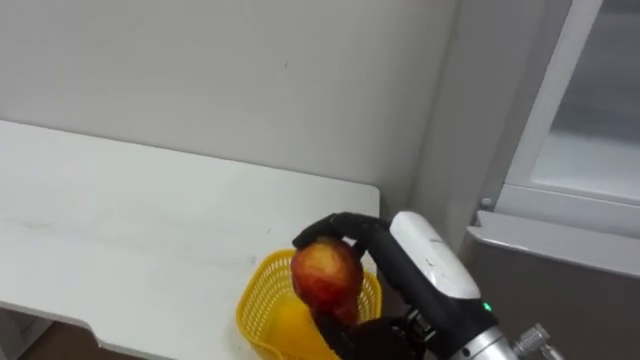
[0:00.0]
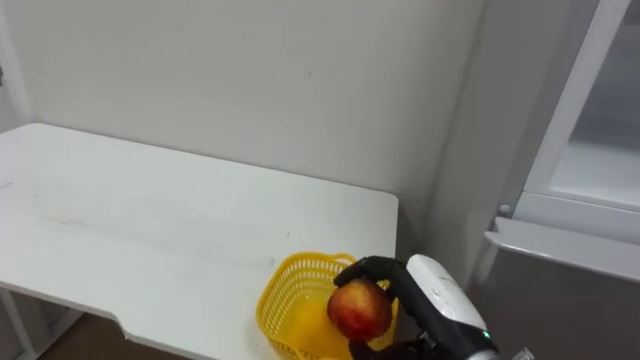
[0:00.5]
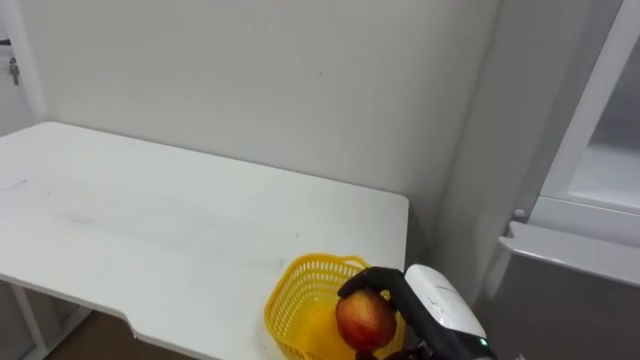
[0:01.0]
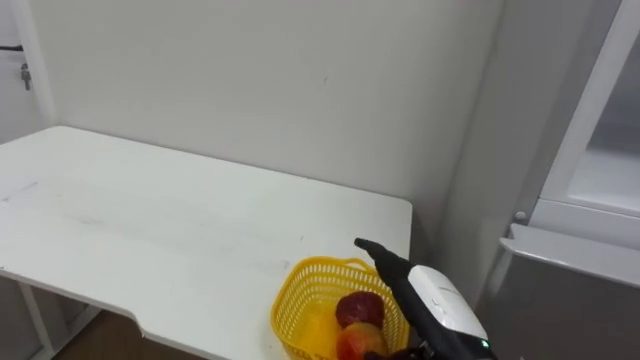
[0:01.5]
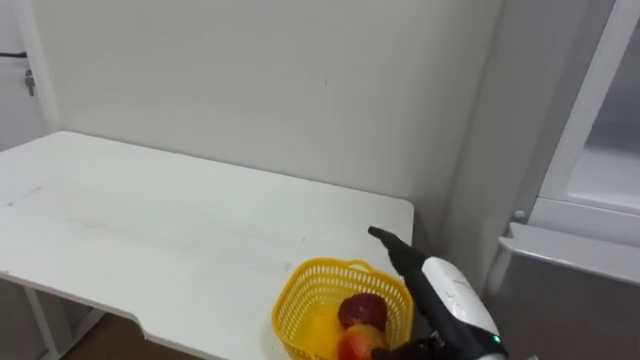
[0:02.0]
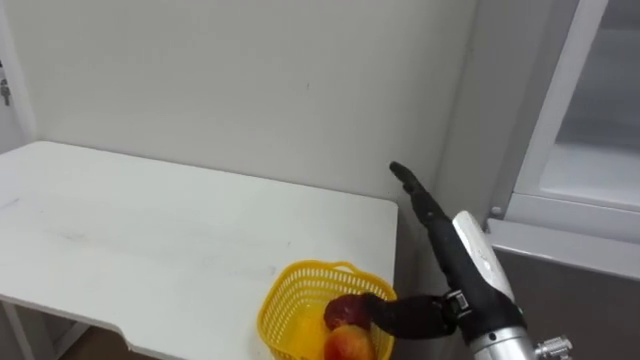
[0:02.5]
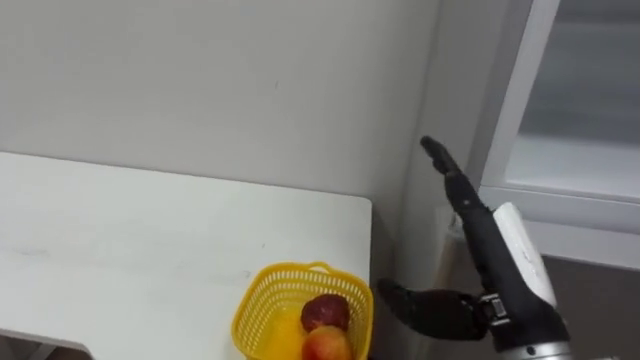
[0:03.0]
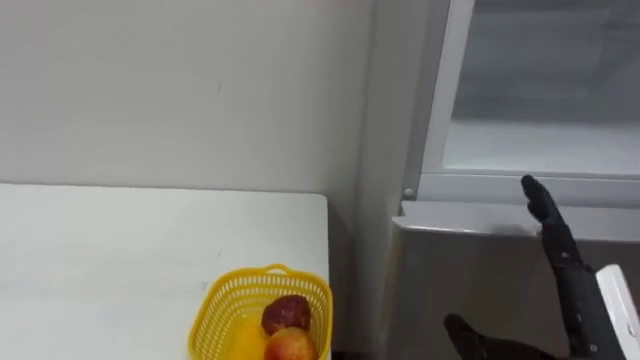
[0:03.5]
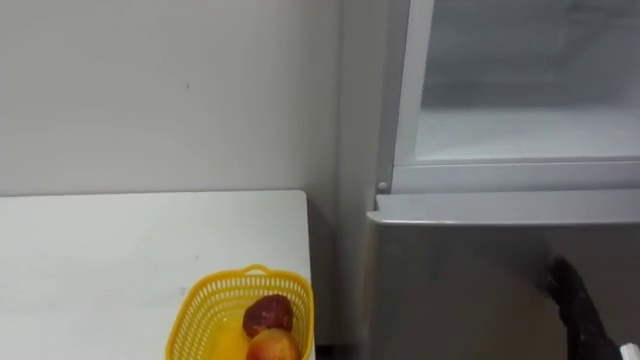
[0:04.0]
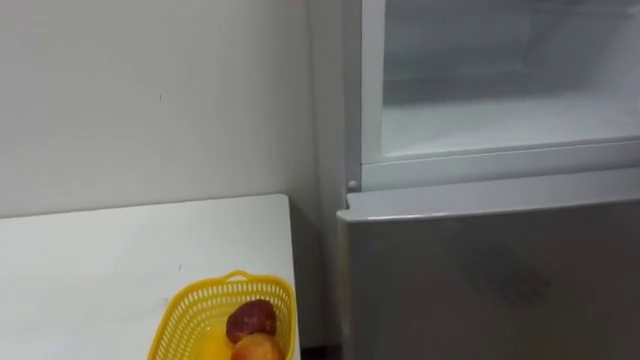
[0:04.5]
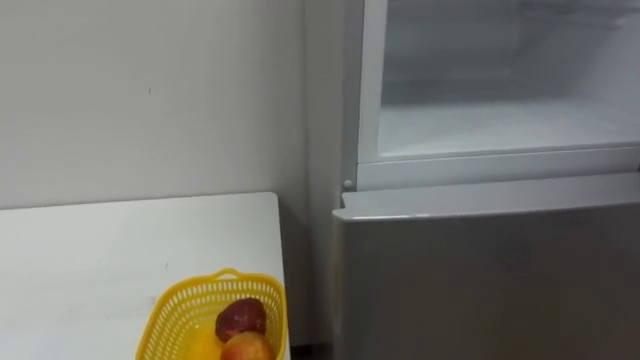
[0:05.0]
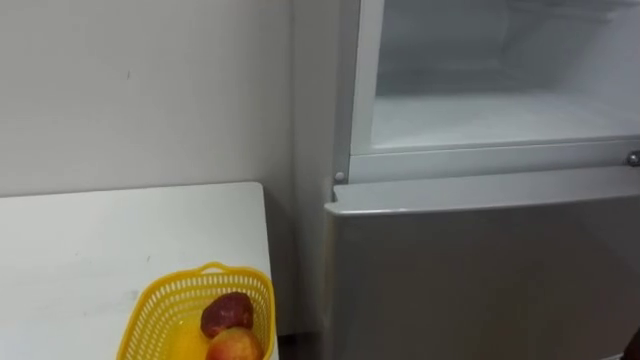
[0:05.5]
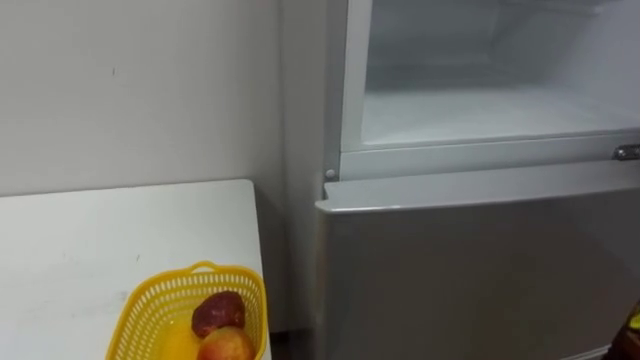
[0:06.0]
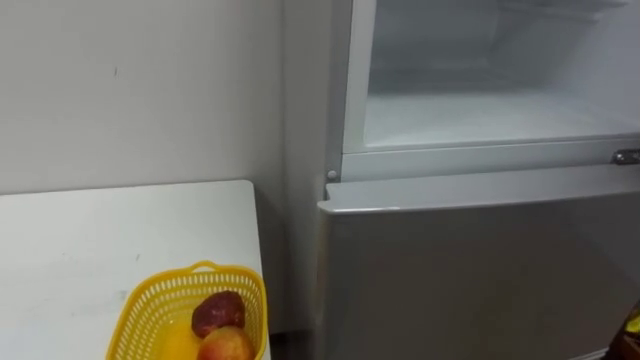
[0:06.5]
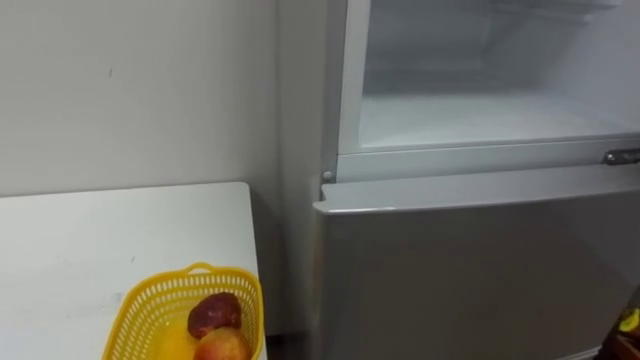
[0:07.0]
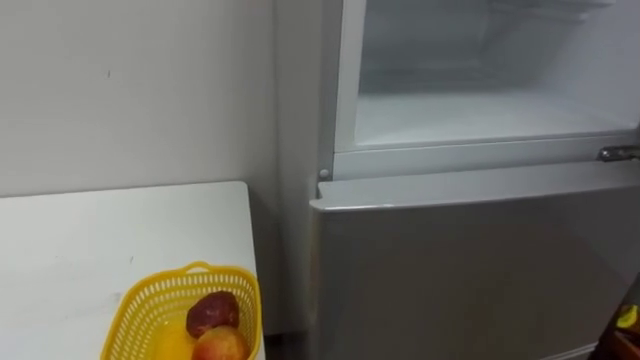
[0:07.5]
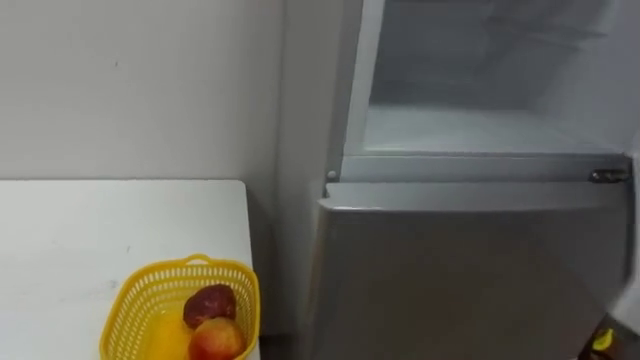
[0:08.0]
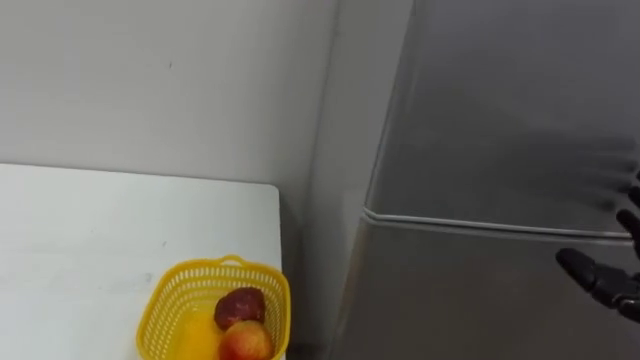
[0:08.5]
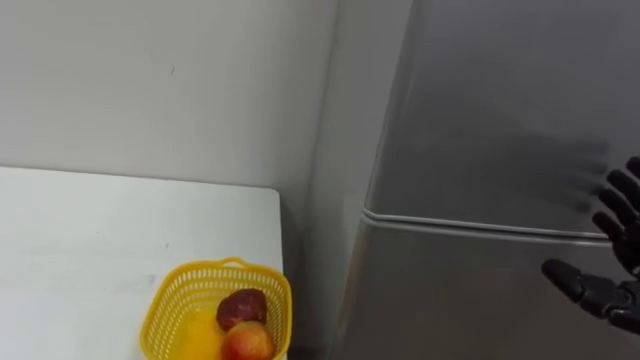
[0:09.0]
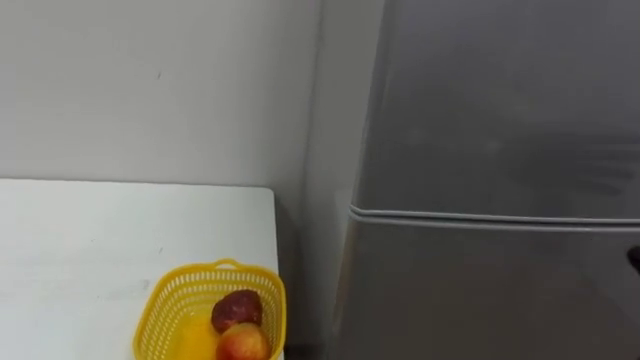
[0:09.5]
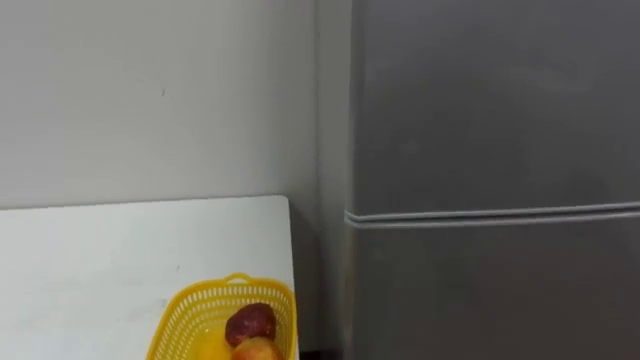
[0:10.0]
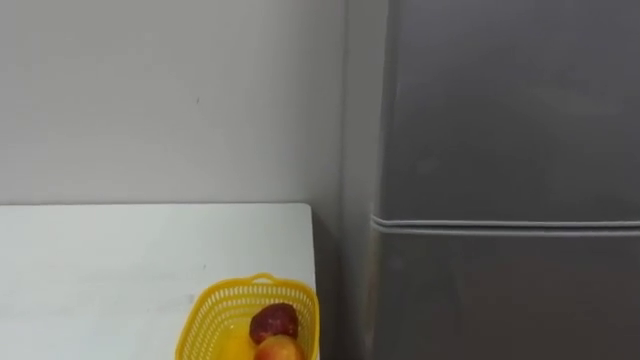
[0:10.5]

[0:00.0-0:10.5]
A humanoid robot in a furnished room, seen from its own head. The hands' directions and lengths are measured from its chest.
Task of the whole recording: Open the refrigerator door, take out the apple and the pomegranate, place them in the fruit basket on the left, and close the refrigerator door.
0:00.0 to 0:02.0: The right hand heads downward, covering approximately 10 cm, and opens.

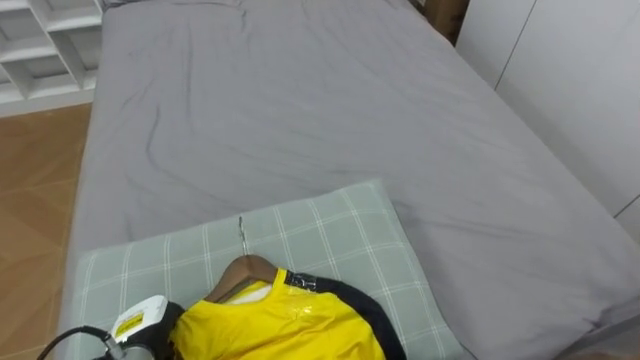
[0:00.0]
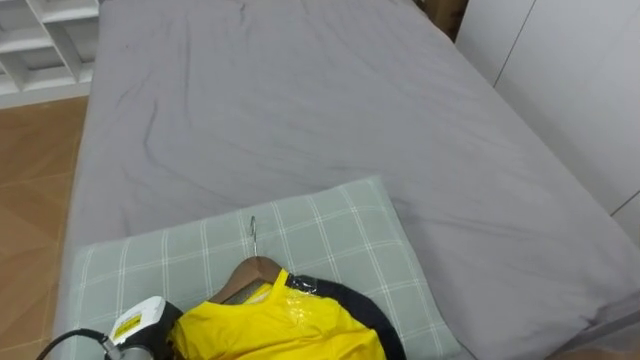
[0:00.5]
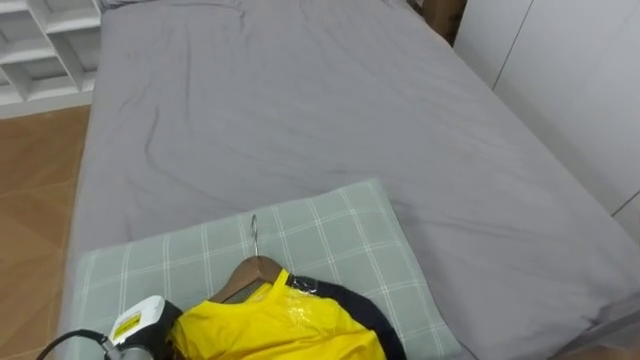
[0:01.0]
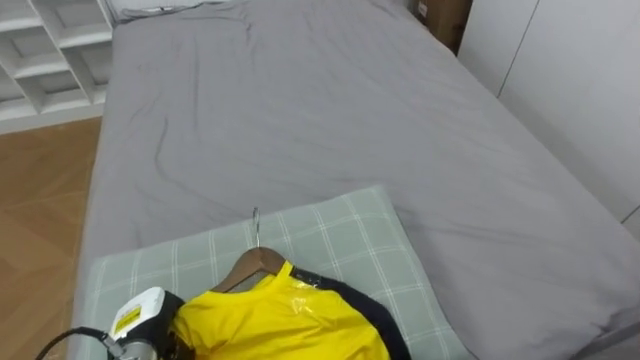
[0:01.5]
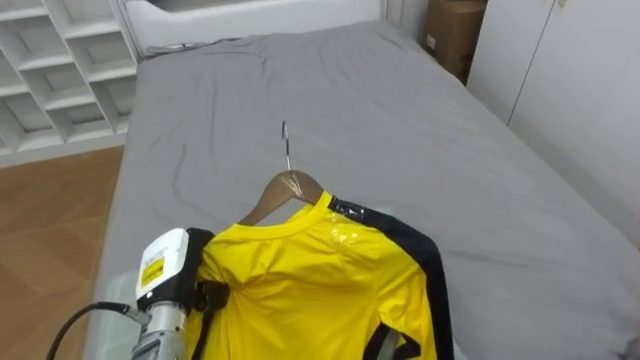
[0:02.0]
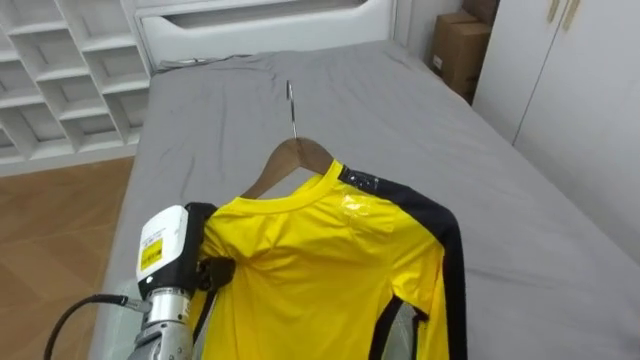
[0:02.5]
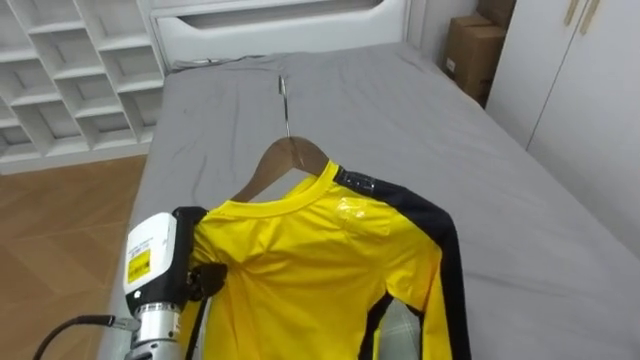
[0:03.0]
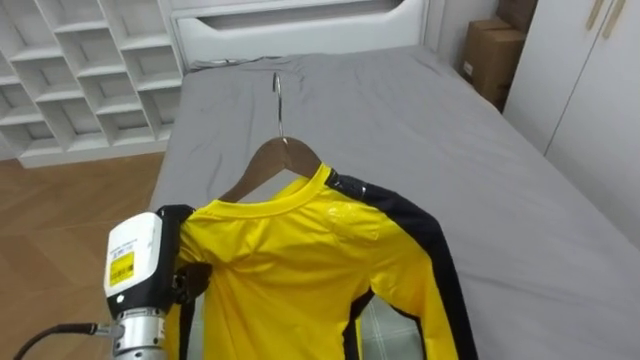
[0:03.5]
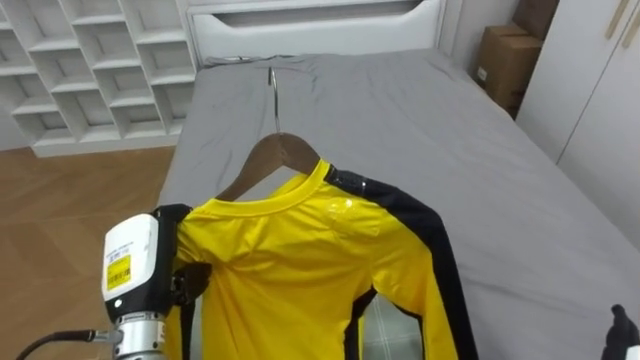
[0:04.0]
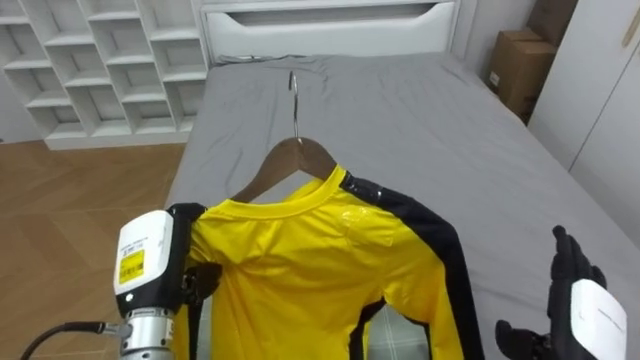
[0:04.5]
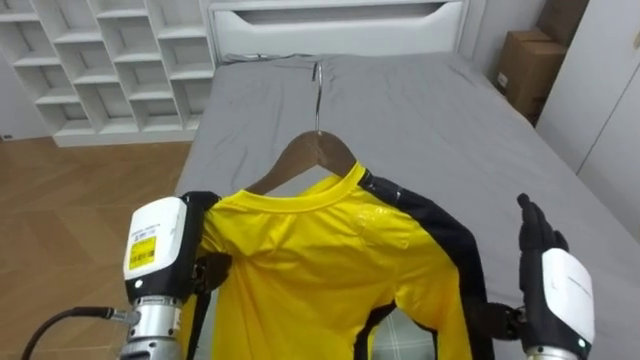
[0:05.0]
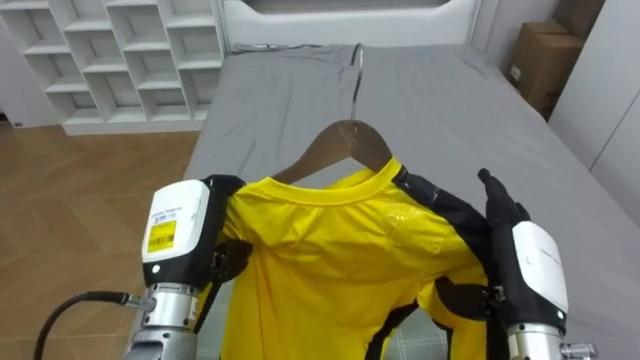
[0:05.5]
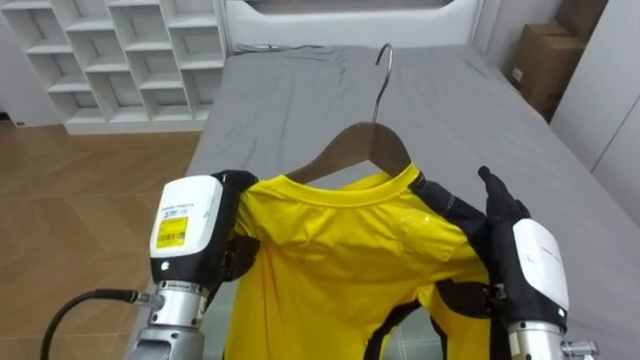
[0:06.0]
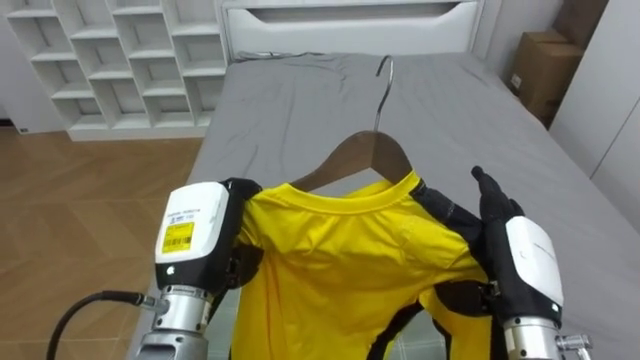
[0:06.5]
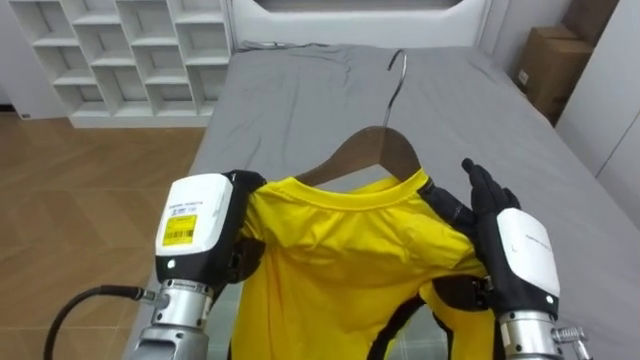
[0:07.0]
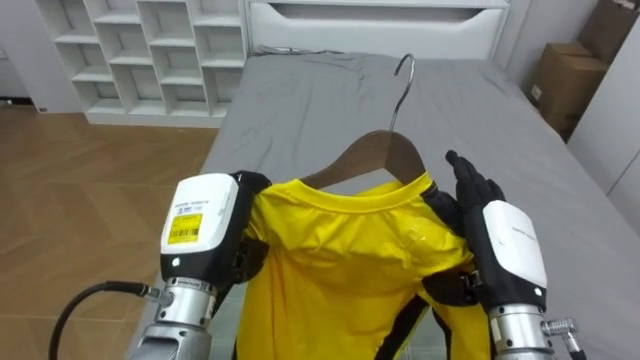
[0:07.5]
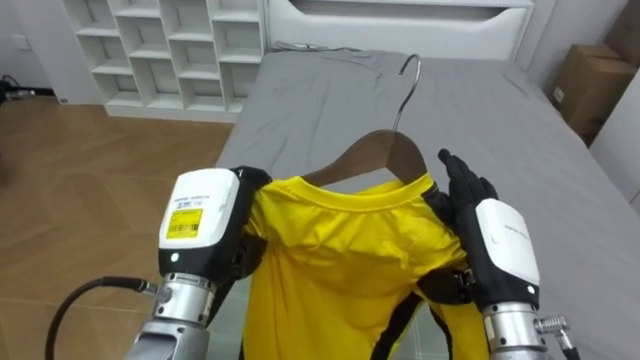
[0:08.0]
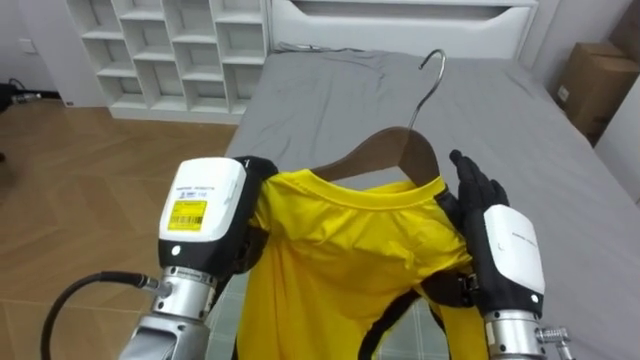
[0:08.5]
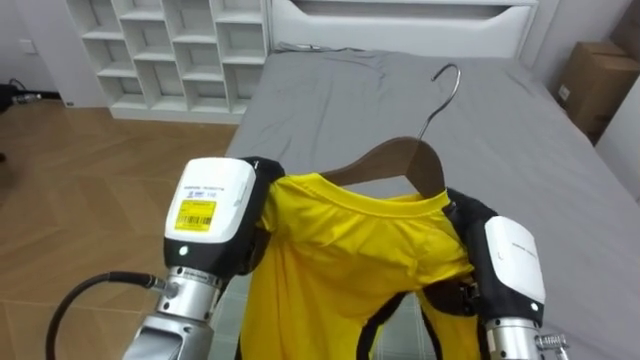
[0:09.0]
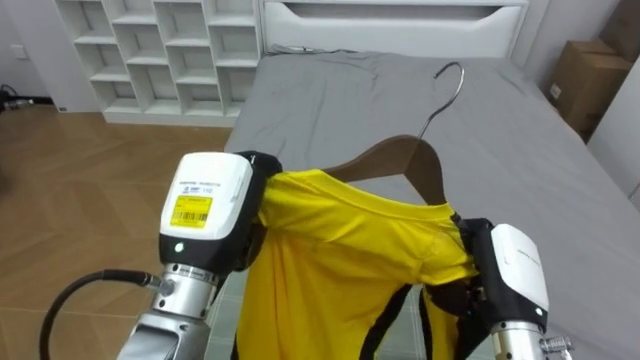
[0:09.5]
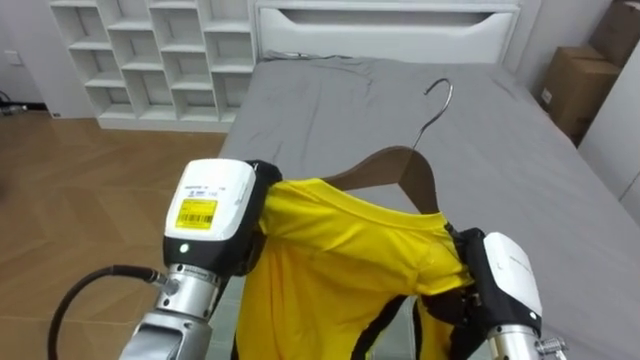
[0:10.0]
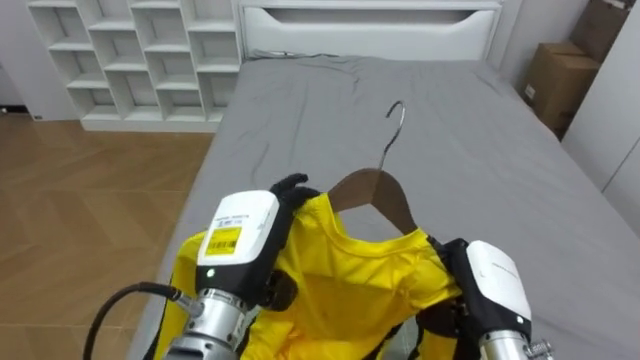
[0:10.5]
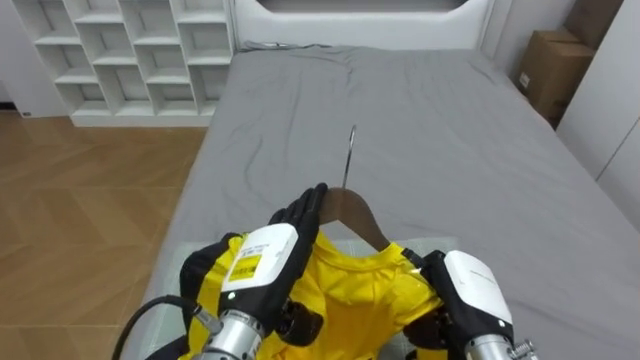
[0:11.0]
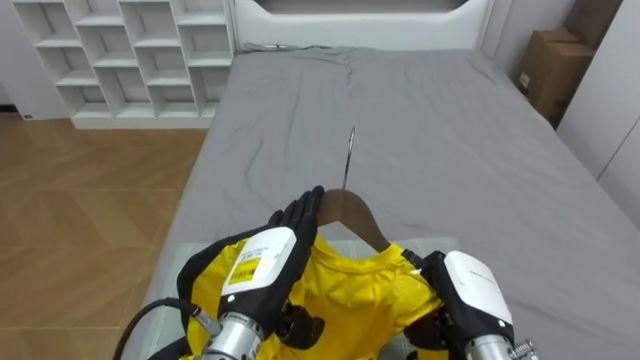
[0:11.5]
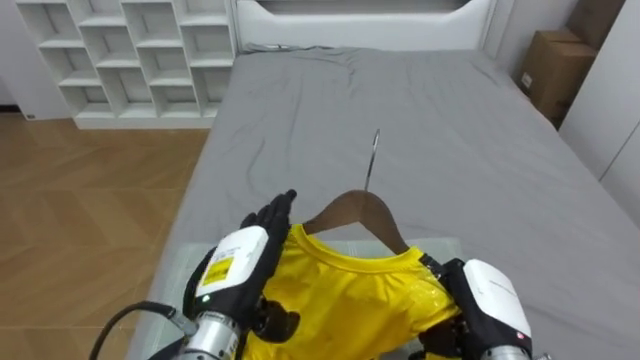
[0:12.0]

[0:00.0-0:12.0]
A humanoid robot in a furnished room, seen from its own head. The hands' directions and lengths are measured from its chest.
Task of the whole recording: Pick up the yellow shirt on the bed and hang it on the clothes rack on the right.
0:00.0 to 0:02.0: The left hand travels upward by roughly 10 cm.
0:02.0 to 0:04.0: The left hand goes about 5 cm upward.
0:04.0 to 0:06.0: The left hand moves to the right and upward, approximately 10 cm.
0:08.0 to 0:10.0: The right hand shifts some 5 cm downward, and closes.
0:10.0 to 0:12.0: The left hand goes some 10 cm downward, and opens up.
